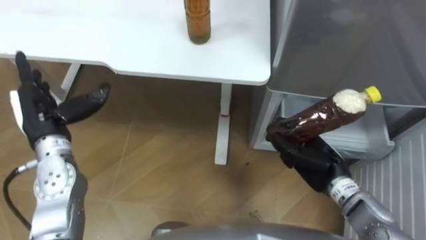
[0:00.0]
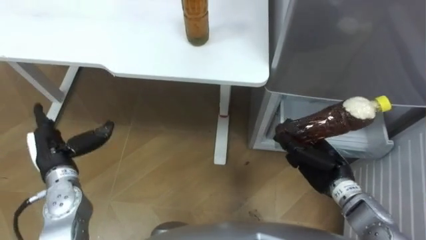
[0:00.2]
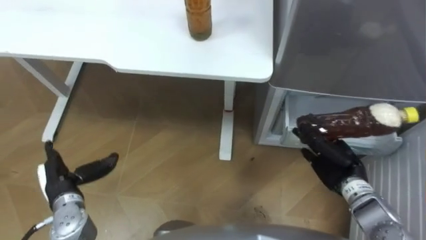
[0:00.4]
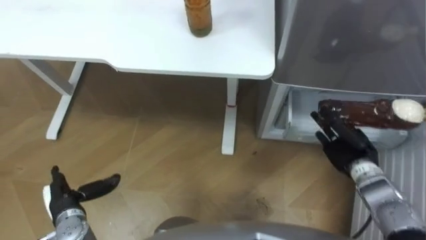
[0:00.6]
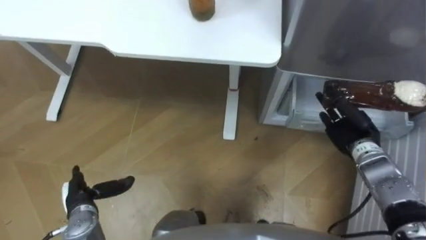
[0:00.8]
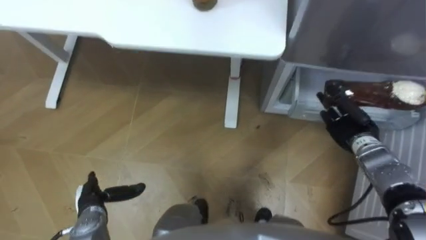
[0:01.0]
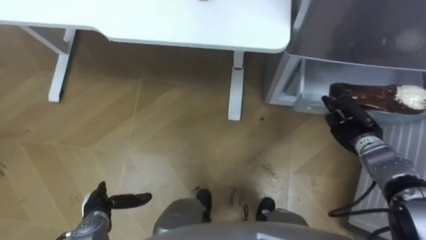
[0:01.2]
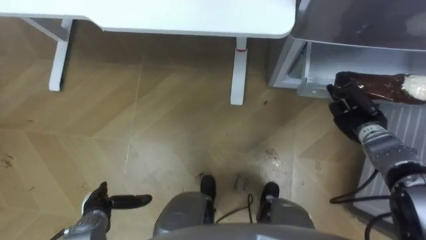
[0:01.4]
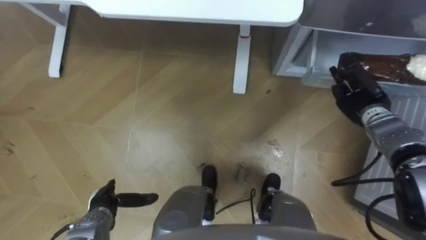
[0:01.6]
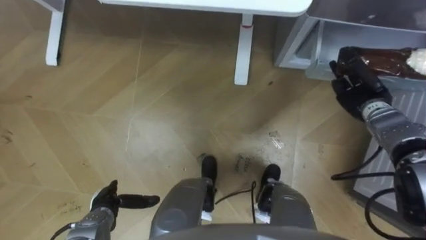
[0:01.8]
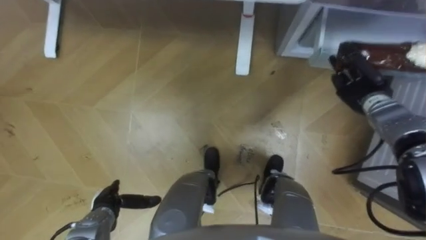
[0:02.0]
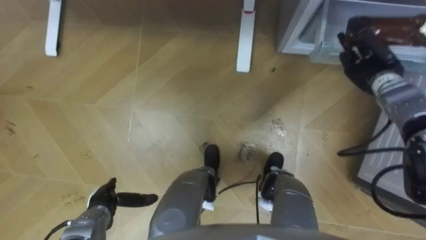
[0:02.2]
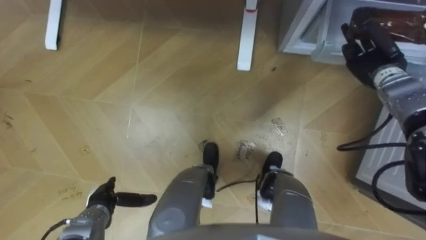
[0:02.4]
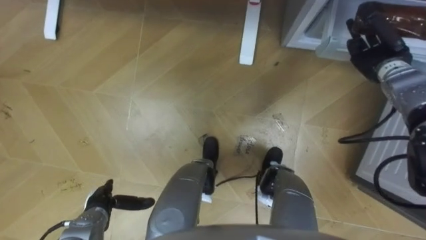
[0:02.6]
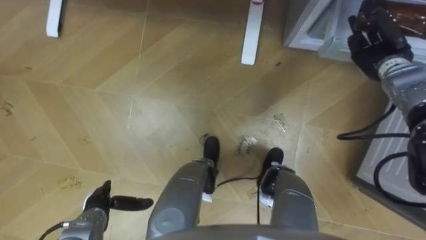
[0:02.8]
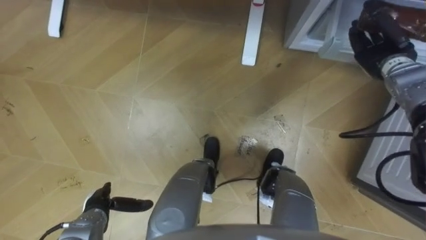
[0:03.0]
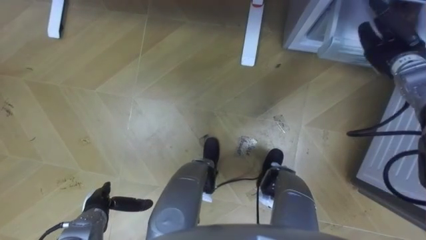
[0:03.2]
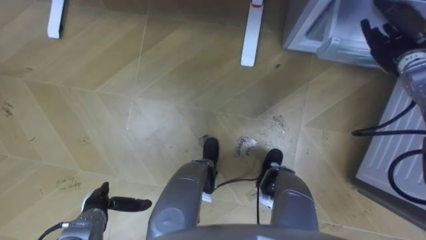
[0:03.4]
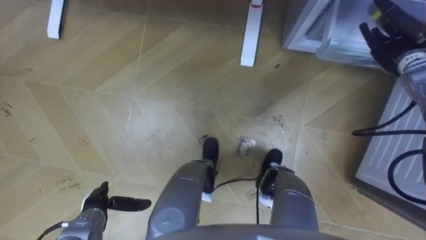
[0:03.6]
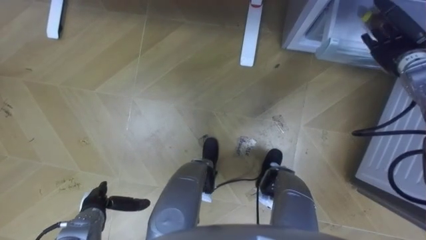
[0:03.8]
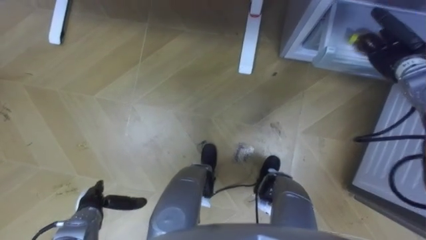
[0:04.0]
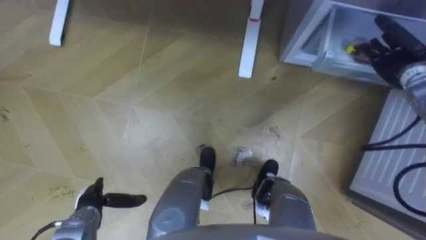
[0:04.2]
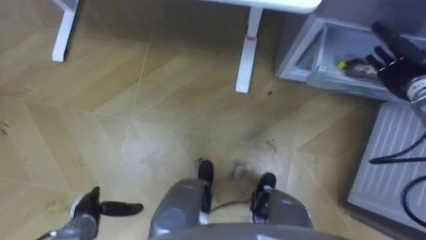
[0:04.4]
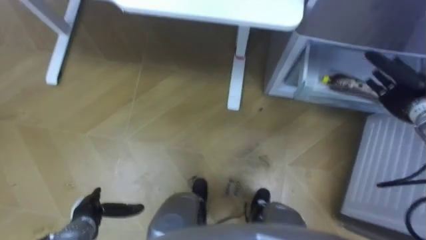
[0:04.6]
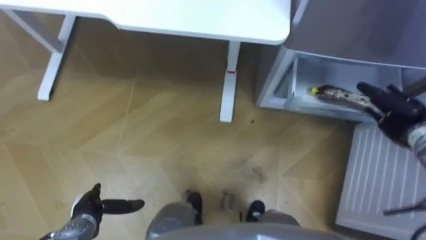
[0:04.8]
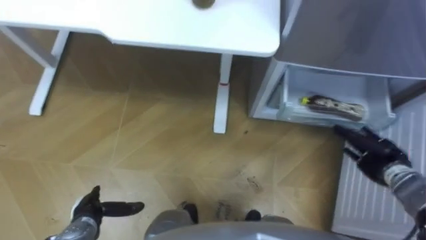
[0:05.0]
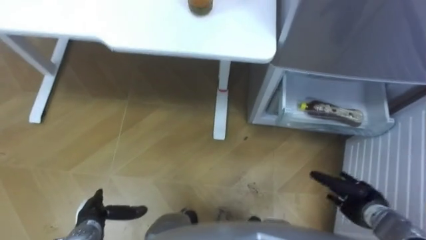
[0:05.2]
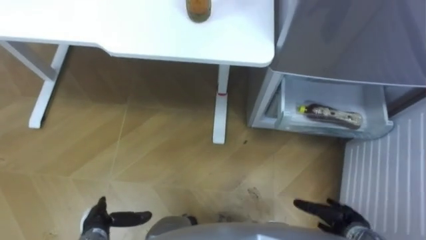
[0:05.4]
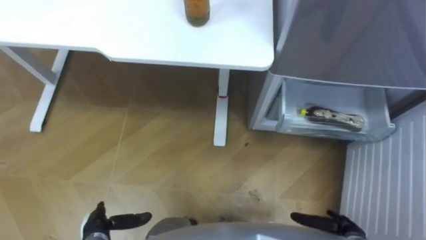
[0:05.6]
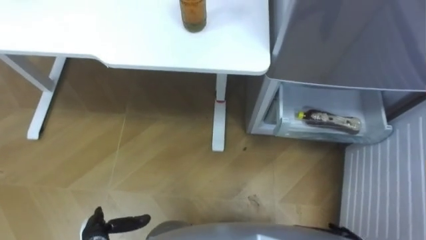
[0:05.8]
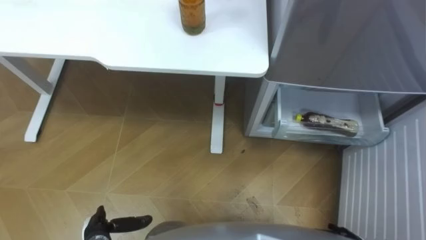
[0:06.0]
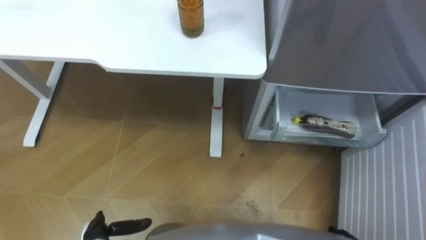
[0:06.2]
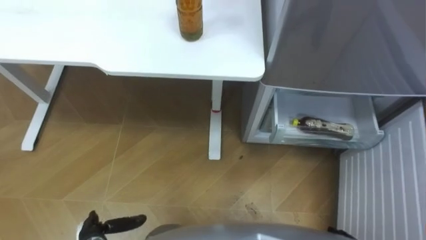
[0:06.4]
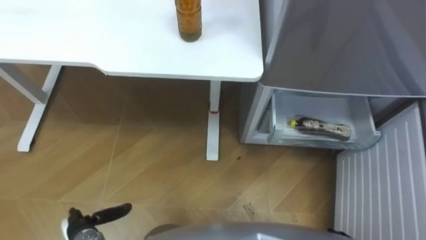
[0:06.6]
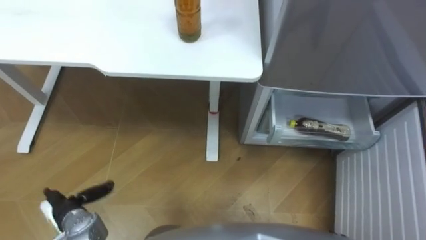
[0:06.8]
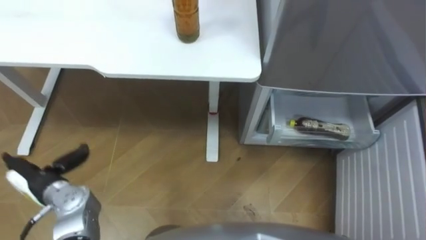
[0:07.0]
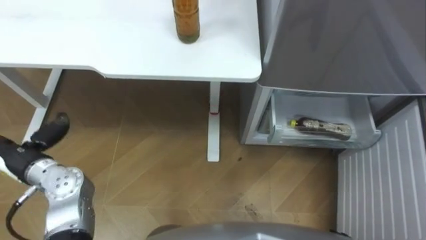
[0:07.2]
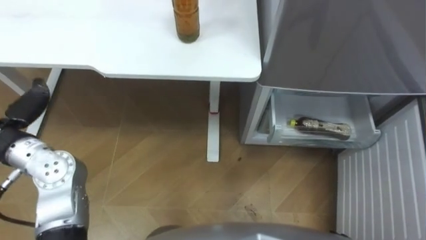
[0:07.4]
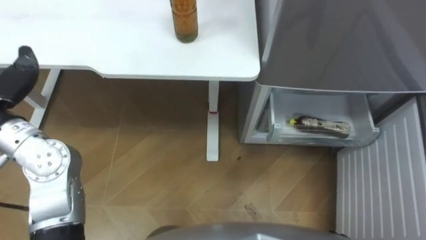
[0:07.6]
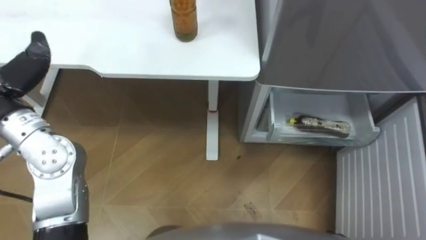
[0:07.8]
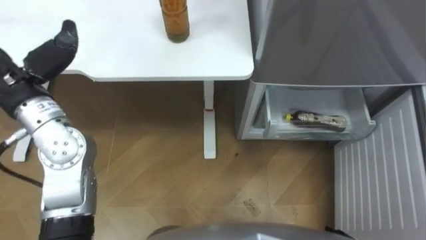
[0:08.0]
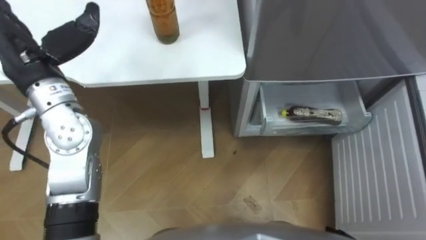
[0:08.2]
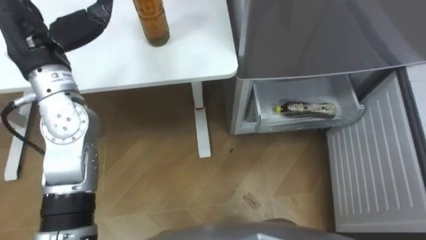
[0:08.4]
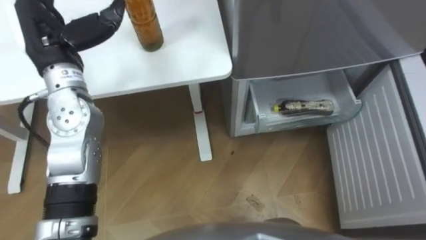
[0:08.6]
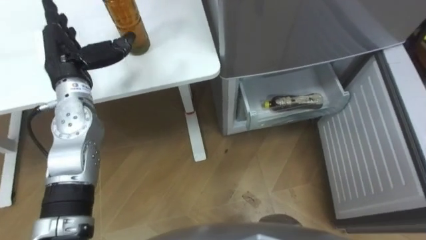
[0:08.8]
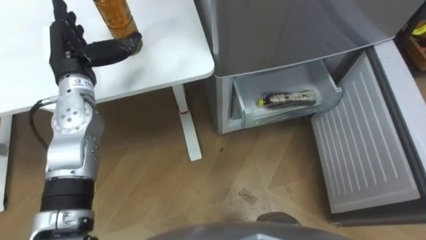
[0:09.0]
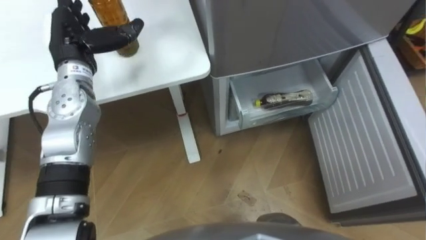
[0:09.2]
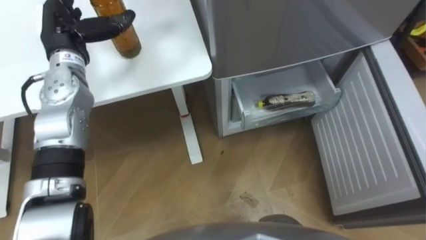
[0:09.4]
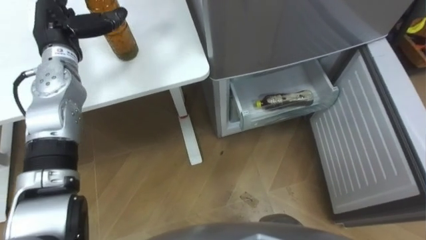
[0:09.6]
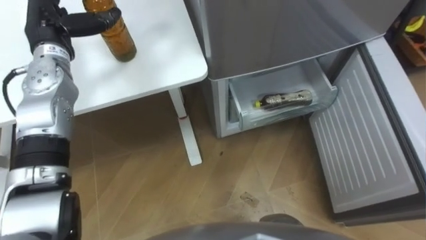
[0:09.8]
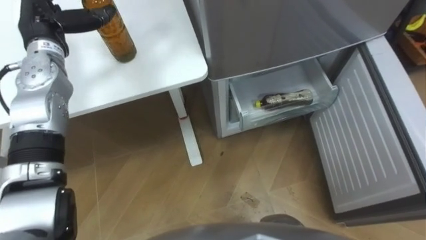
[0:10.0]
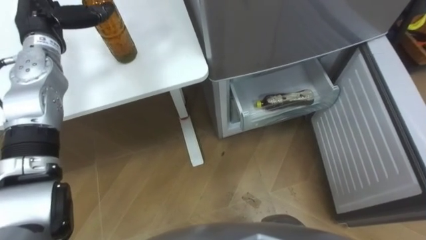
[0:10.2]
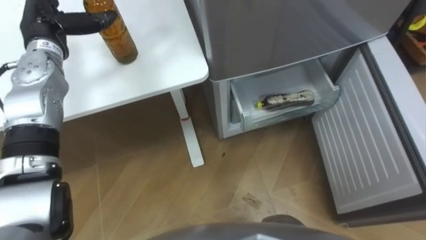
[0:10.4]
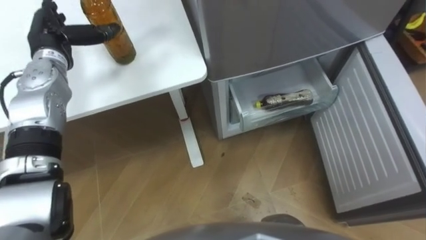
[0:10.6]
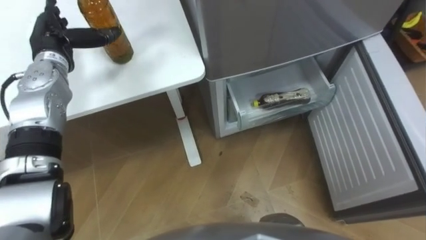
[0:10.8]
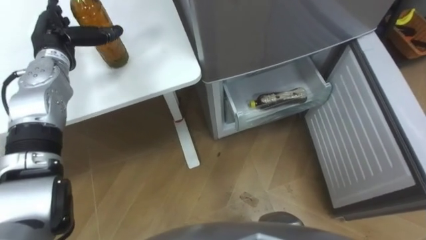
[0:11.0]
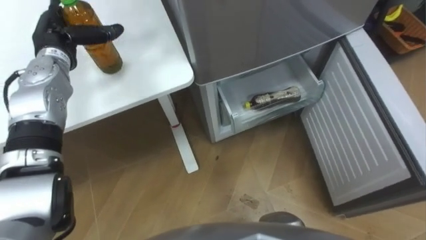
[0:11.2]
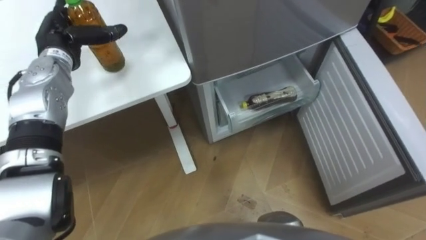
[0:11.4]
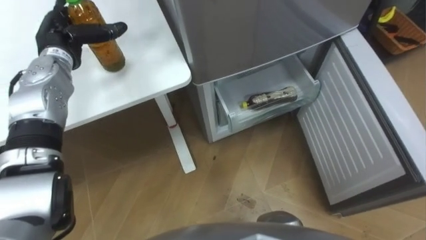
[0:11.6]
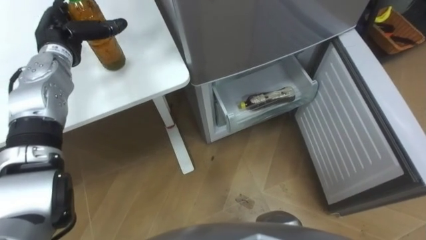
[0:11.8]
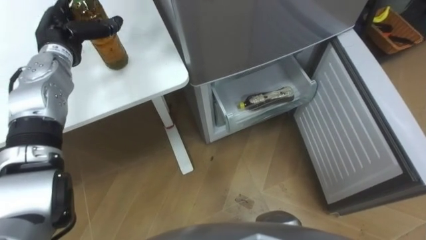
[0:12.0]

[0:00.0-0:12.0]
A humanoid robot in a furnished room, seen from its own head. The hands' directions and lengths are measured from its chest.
Task of the whole recording: Place the drink on the table on the bottom shelf of the refrigerator, then close the drawer and the refrigerator door.
0:00.0 to 0:01.6: The right hand shifts roughly 15 cm forward and to the right, while the left hand shifts about 25 cm downward and backward.
0:01.6 to 0:03.0: The right hand travels upward and forward by about 10 cm.
0:03.0 to 0:04.4: The right hand moves about 5 cm.
0:04.4 to 0:06.0: The left hand moves about 5 cm.
0:09.0 to 0:10.4: The left hand moves forward, about 5 cm.

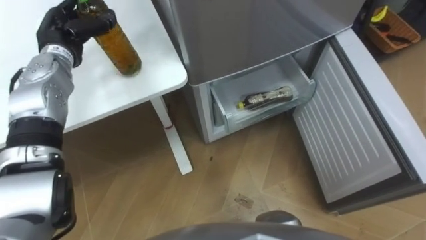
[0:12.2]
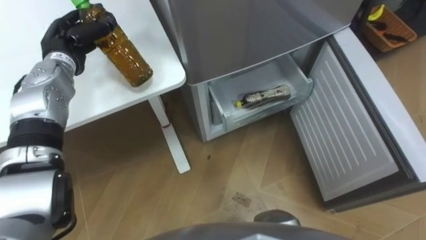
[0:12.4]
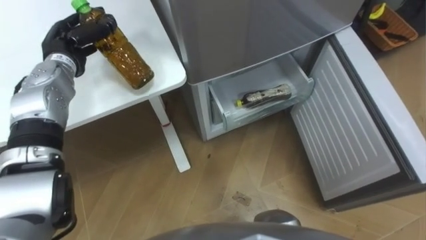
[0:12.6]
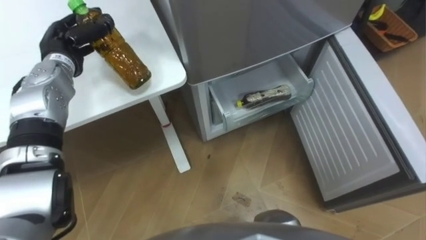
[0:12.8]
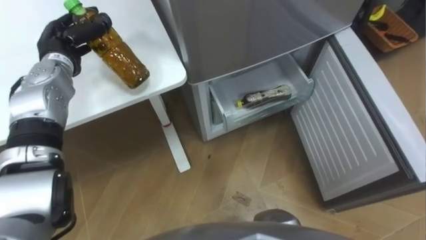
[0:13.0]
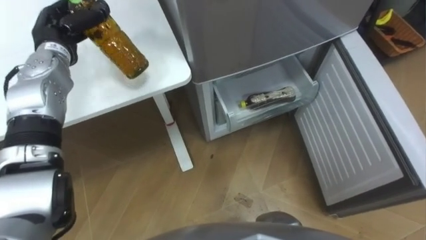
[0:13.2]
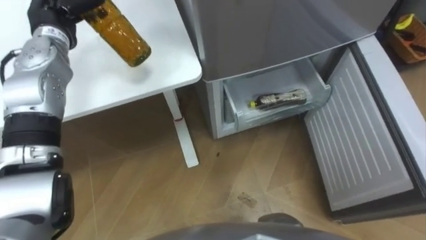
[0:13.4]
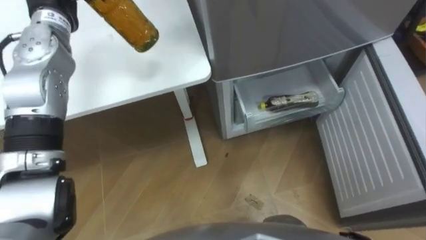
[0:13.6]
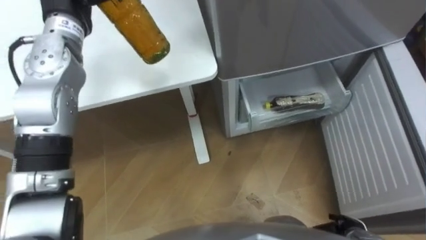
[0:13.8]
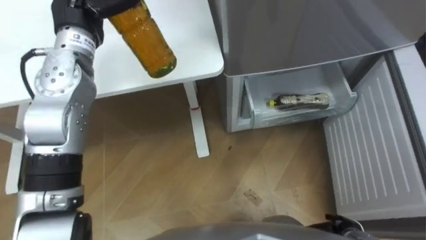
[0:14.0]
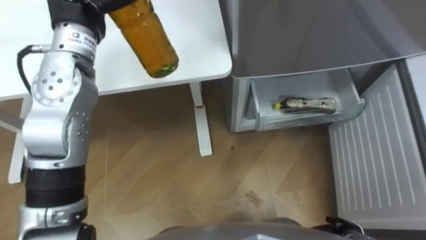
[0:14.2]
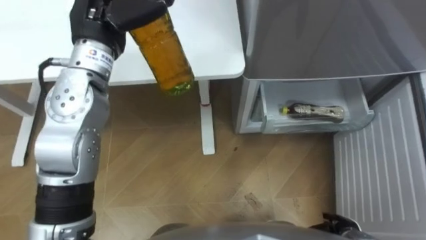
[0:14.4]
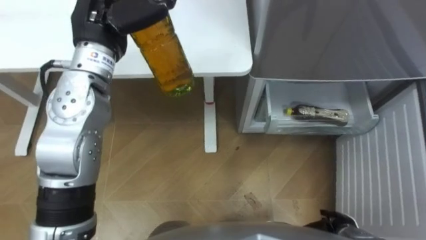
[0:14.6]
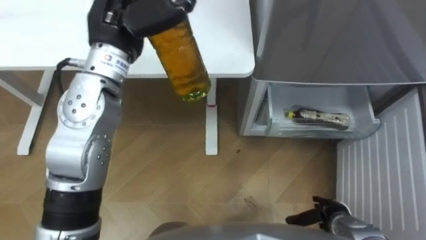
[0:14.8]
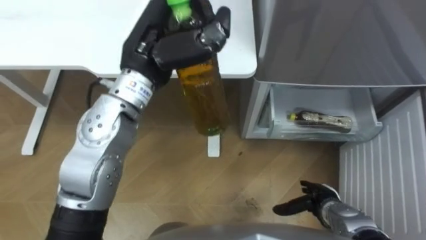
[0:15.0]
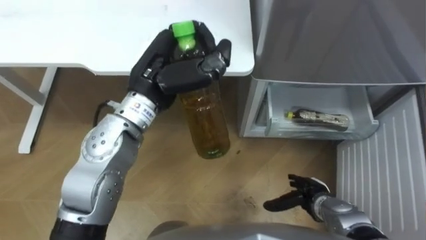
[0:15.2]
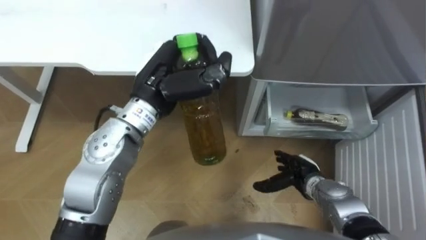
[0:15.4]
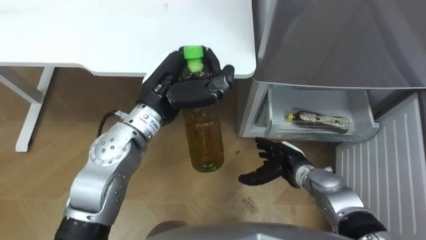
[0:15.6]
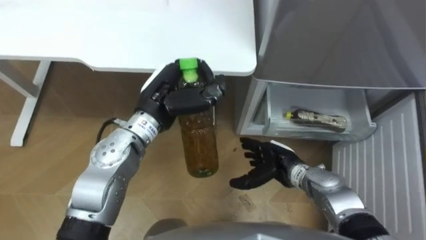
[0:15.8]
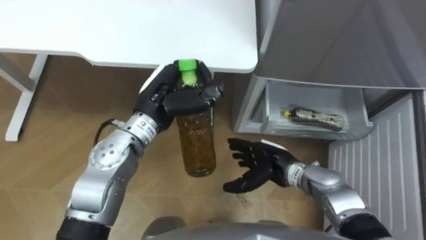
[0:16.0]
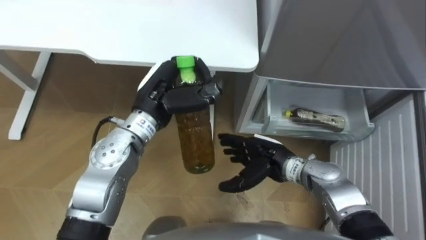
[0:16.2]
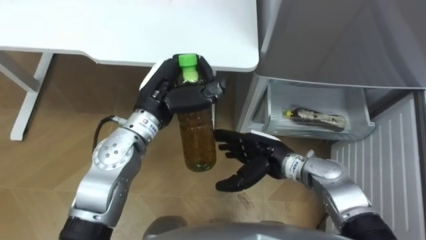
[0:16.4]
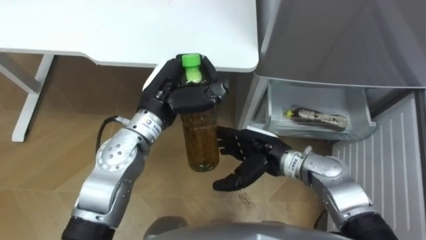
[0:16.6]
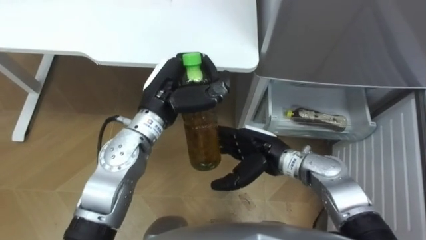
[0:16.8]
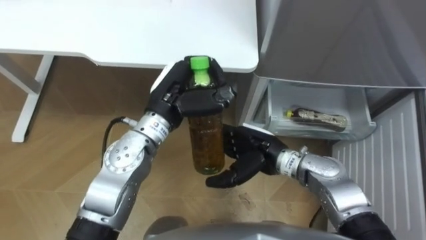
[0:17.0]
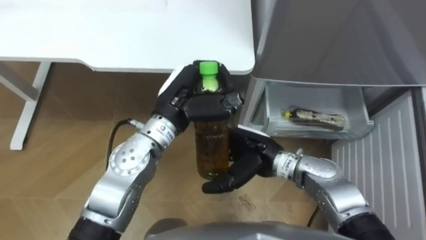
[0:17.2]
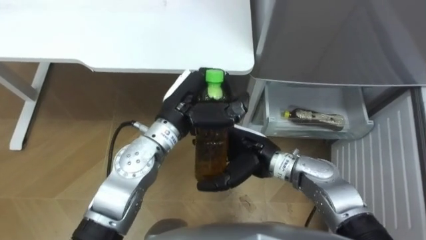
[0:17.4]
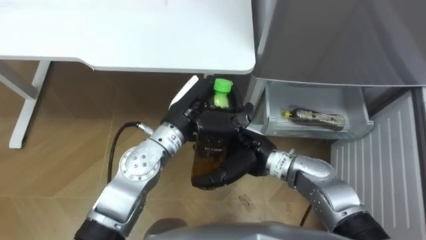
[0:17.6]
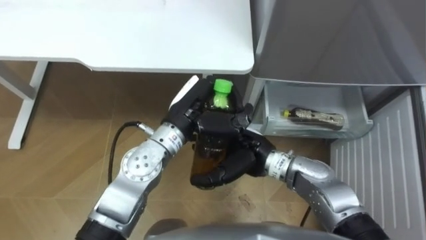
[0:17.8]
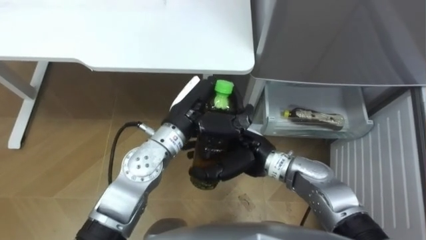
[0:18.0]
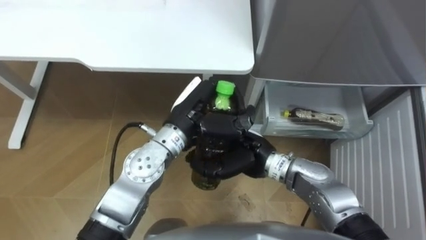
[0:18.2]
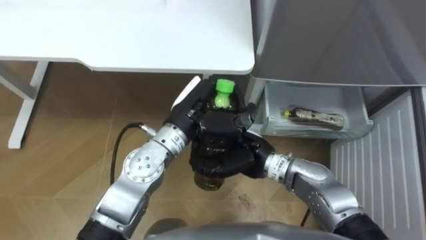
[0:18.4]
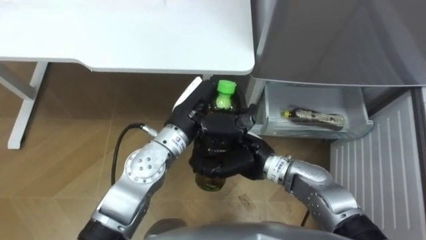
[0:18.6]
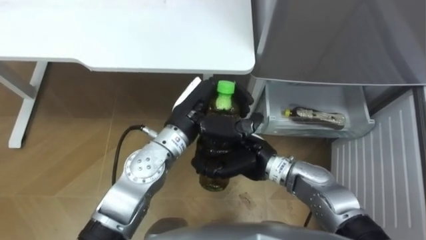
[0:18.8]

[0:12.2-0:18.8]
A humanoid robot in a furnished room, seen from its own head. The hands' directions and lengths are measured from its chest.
Task of the whole recording: Place the drink on the table on the bottom shelf of the refrigerator, then close the drawer and the refrigerator door.
0:13.8 to 0:15.4: The right hand is displaced forward and to the left by some 15 cm.
0:15.4 to 0:17.2: The right hand moves to the left and upward, approximately 20 cm, while the left hand moves roughly 5 cm.
0:17.2 to 0:18.8: The right hand closes its fingers.
